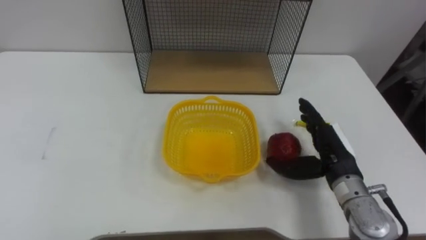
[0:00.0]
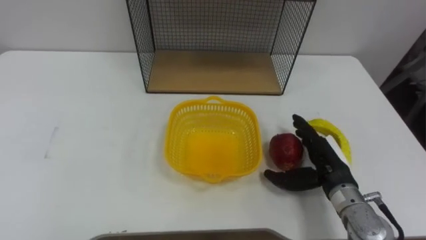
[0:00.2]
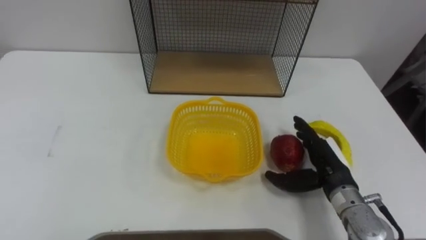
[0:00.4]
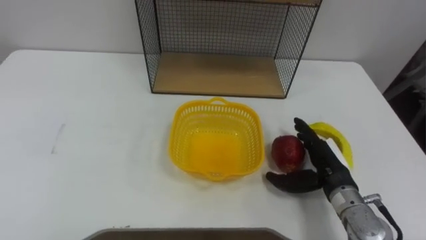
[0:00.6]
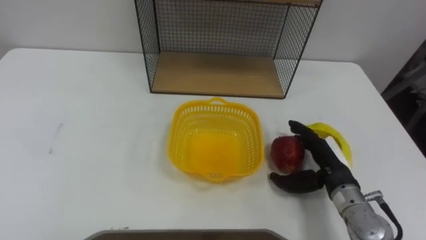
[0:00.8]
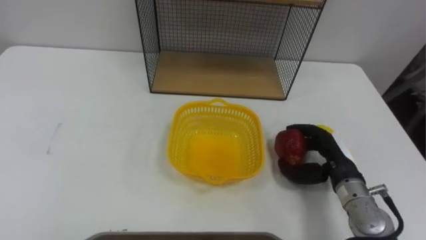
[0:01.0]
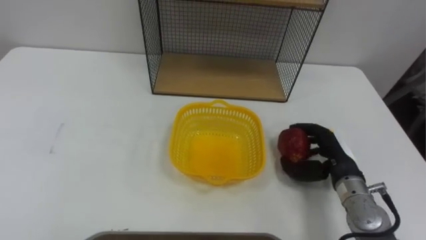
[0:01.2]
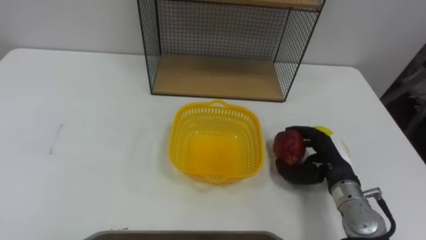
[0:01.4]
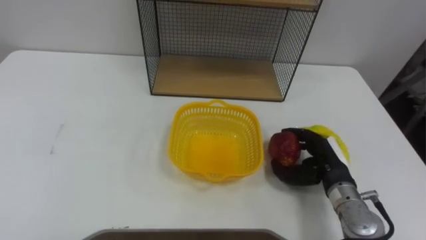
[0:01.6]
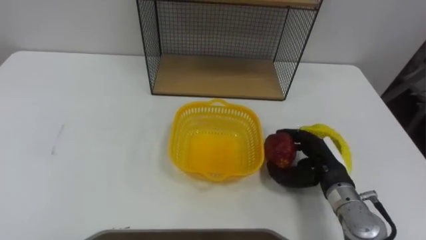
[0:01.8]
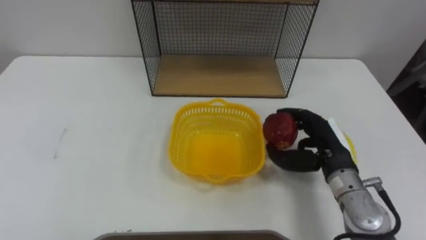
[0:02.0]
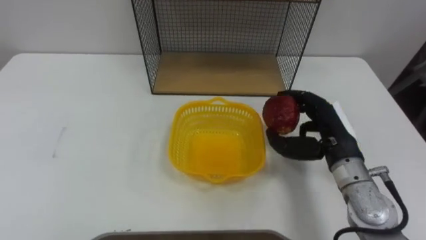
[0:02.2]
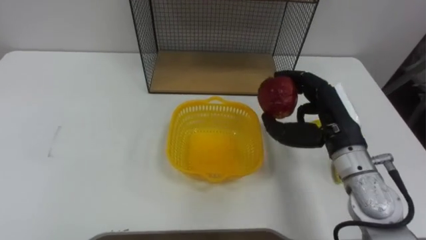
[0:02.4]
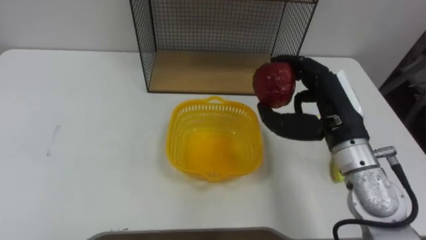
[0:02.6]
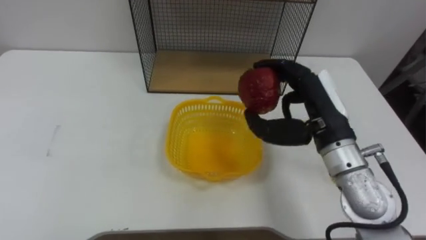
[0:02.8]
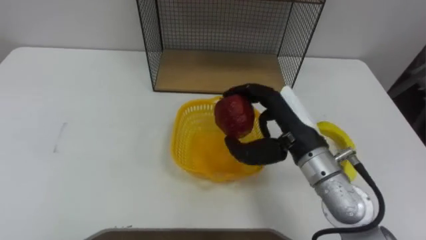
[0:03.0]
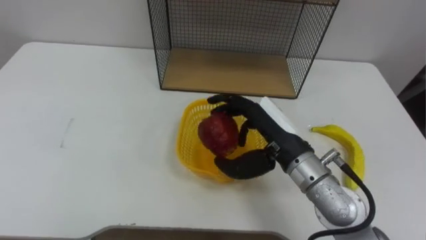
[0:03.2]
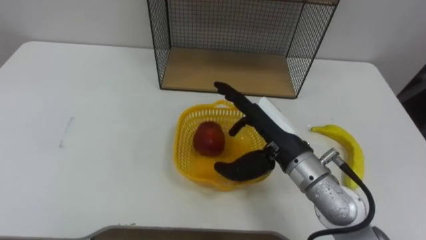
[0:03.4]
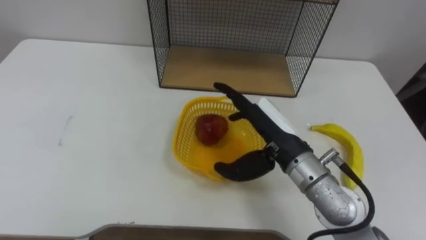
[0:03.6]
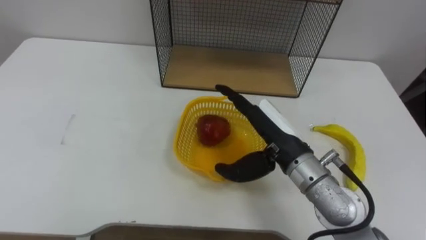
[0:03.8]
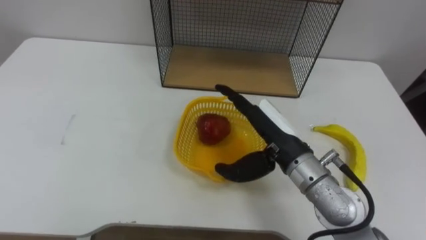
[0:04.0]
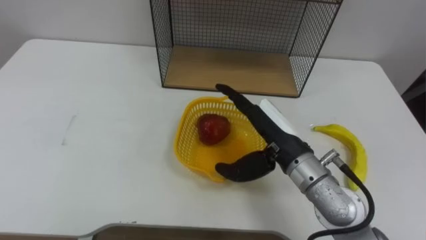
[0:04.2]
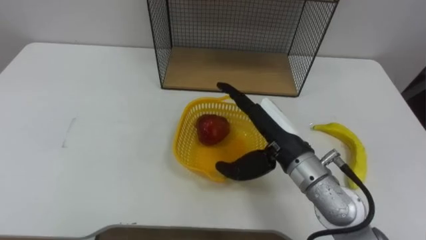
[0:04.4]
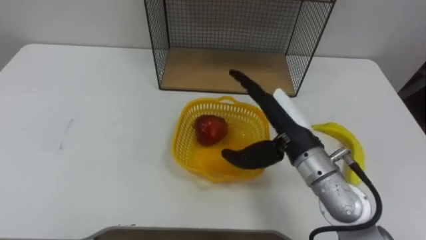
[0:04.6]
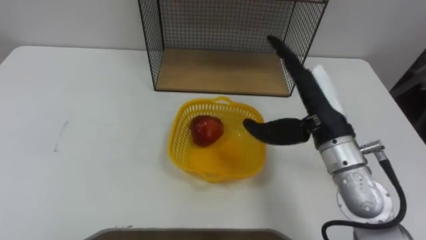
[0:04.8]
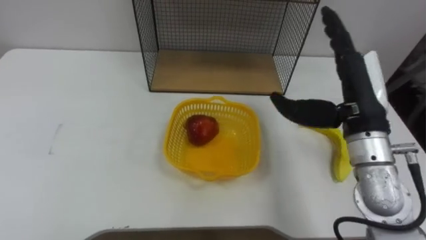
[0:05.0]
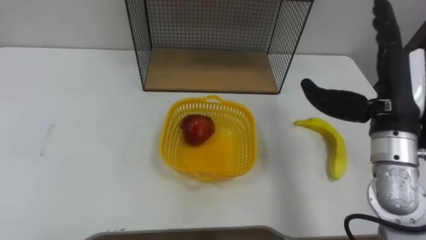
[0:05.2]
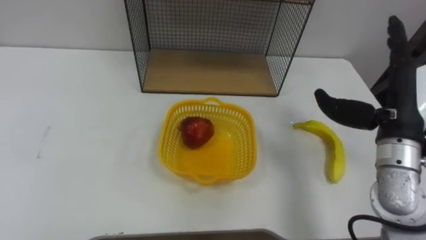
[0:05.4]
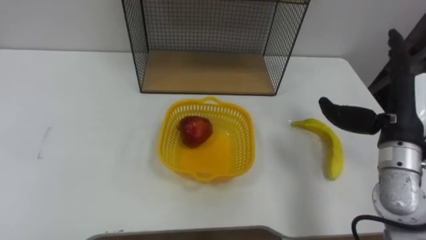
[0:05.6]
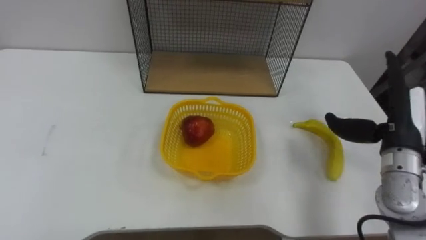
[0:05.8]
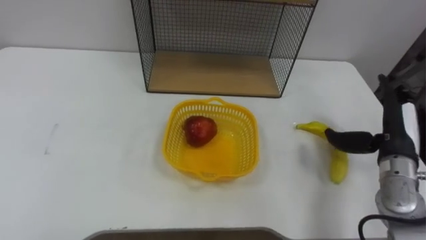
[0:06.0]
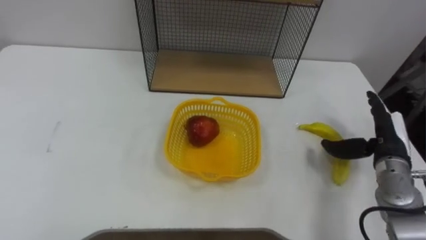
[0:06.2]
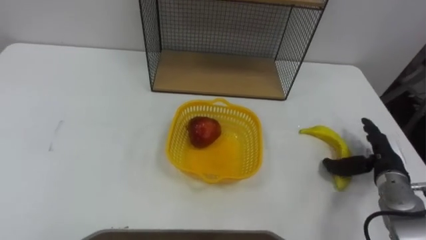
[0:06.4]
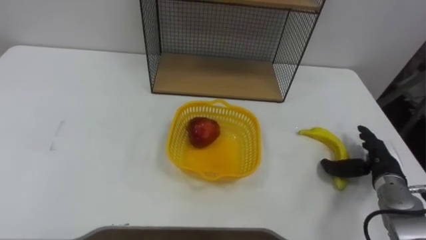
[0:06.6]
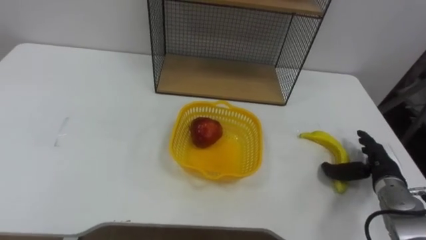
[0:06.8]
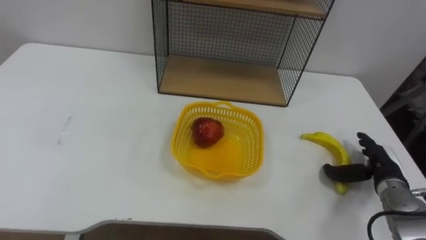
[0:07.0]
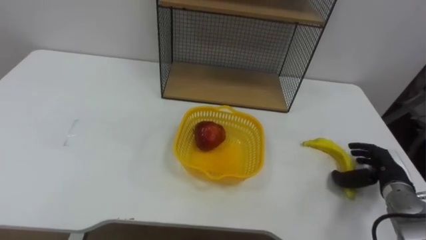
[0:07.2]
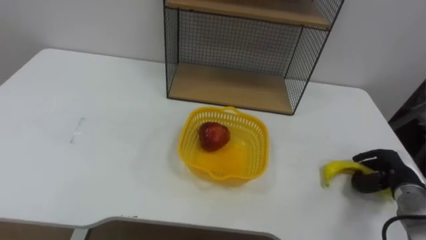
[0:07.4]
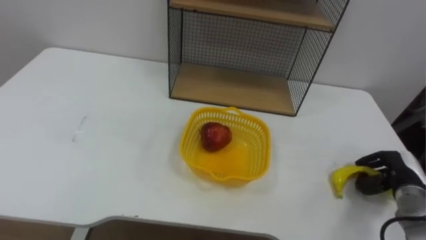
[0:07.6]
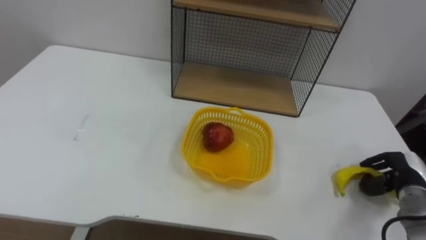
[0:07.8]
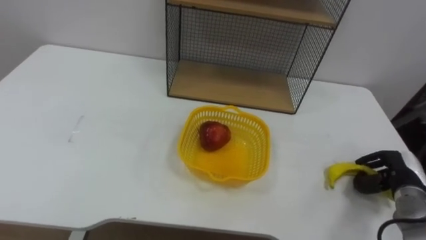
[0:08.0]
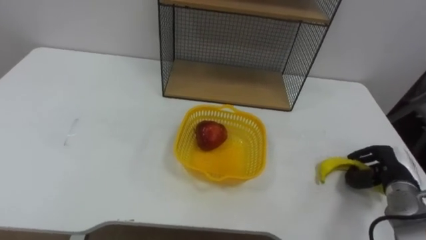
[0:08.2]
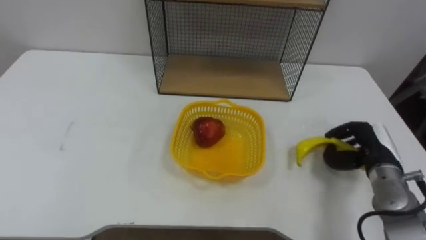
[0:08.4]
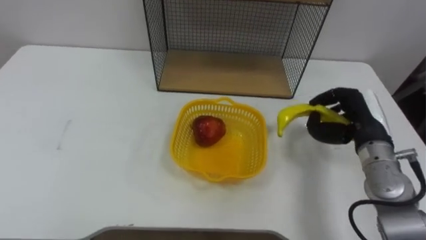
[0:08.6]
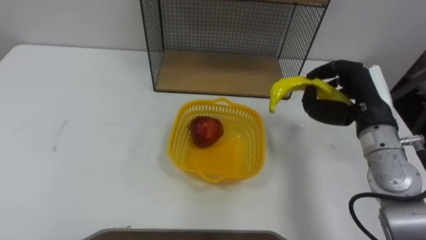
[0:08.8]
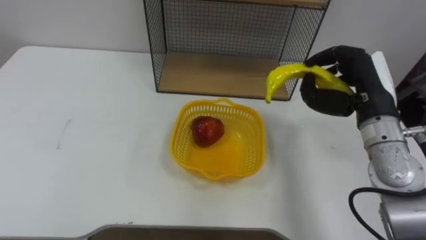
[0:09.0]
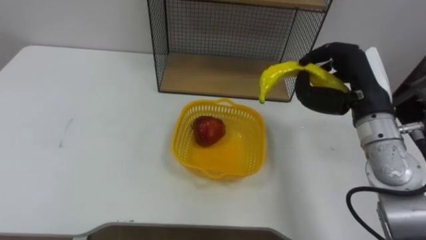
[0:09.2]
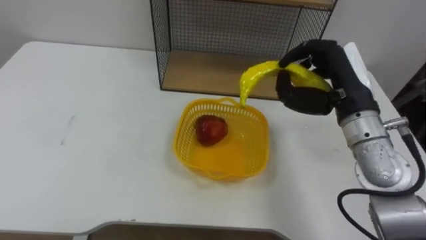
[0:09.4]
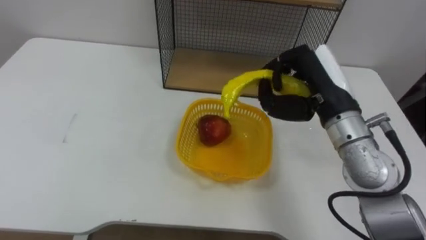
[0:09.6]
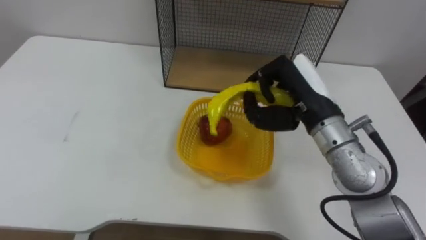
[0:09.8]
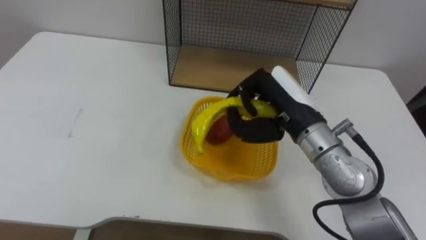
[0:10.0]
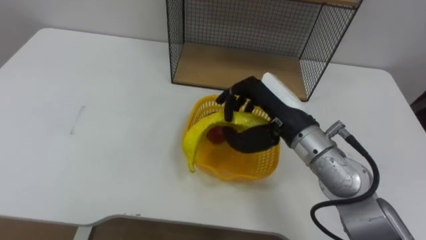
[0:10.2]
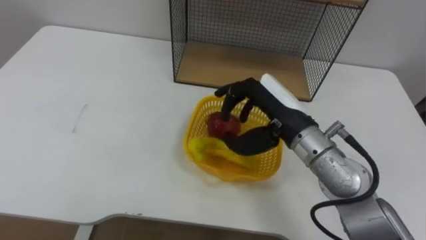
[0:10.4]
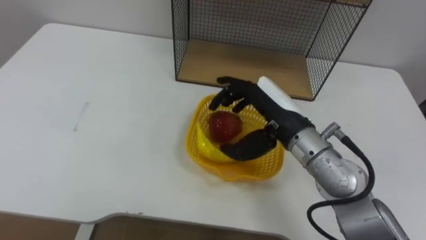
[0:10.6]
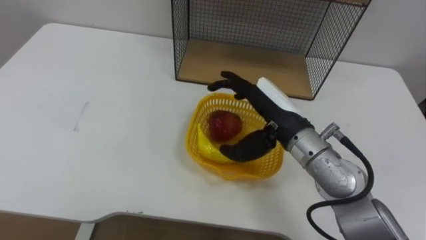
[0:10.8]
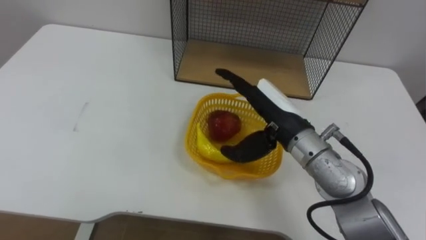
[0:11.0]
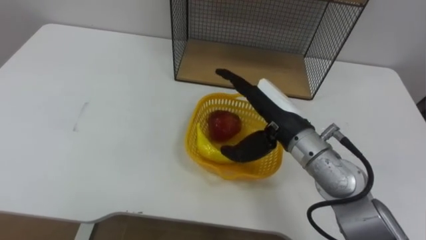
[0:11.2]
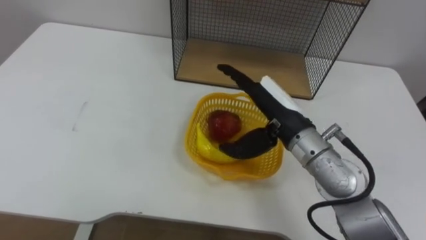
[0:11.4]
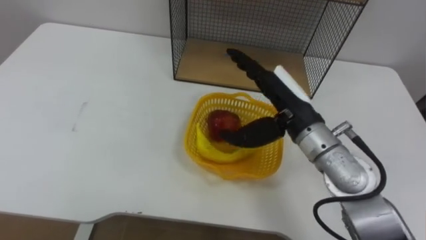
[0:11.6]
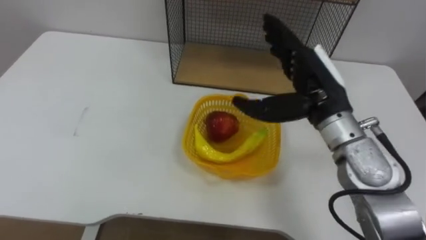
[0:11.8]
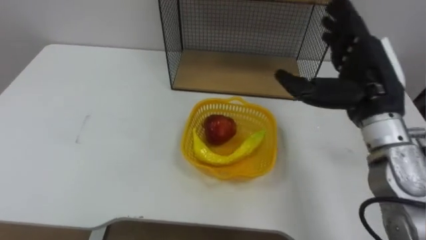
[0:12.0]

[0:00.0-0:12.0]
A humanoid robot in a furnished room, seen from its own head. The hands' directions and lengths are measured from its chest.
Task of the whole recording: Put the fruit on the table into the basket, then place the basket on the shelf.
0:00.0 to 0:01.6: The right hand travels downward by roughly 5 cm, and closes up.
0:01.6 to 0:03.0: The right hand moves upward and to the left, roughly 15 cm.
0:03.0 to 0:04.4: The right hand opens its fingers.
0:04.4 to 0:06.0: The right hand travels to the right by some 20 cm.
0:06.0 to 0:07.6: The right hand travels downward and to the right by some 15 cm, and closes its fingers.
0:07.6 to 0:09.0: The right hand shifts roughly 25 cm upward and to the left.
0:09.0 to 0:10.4: The right hand goes some 15 cm to the left.
0:10.4 to 0:12.0: The right hand is displaced to the right and upward by about 10 cm, and opens.

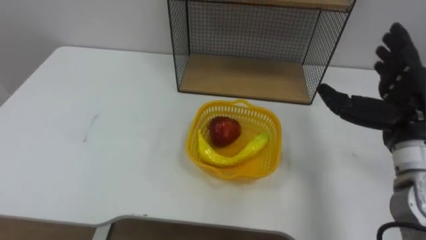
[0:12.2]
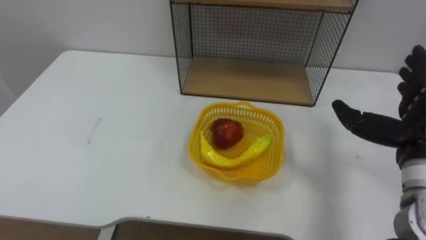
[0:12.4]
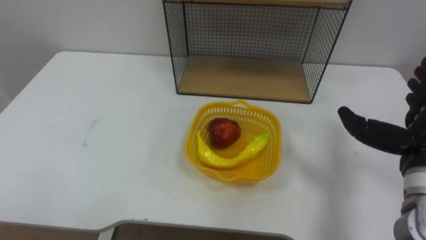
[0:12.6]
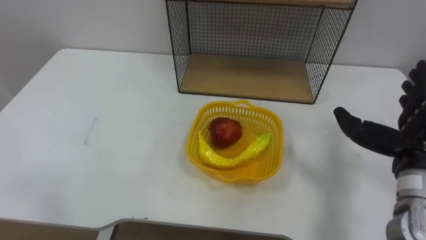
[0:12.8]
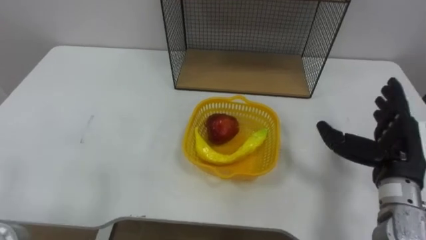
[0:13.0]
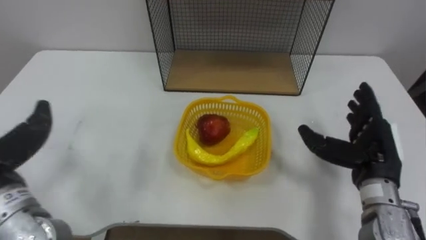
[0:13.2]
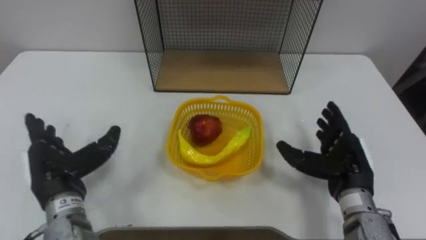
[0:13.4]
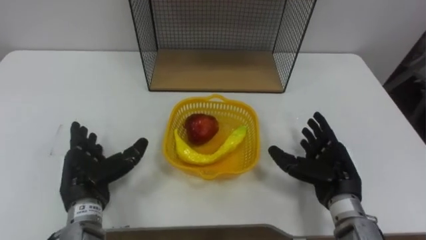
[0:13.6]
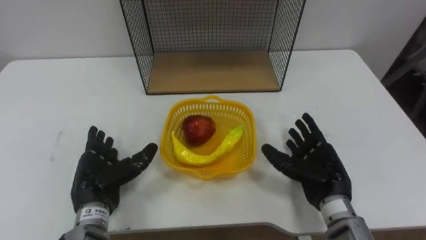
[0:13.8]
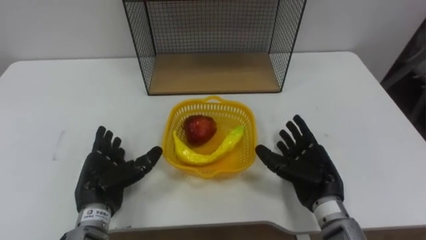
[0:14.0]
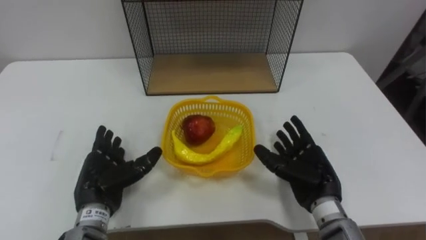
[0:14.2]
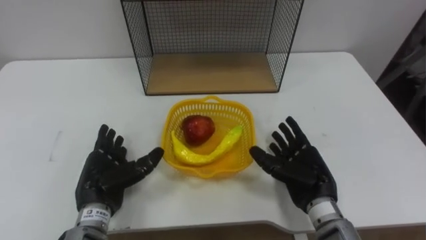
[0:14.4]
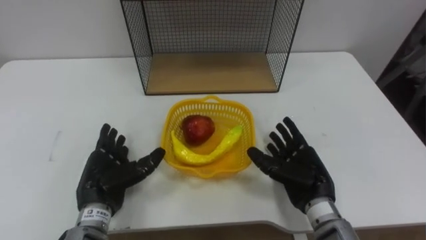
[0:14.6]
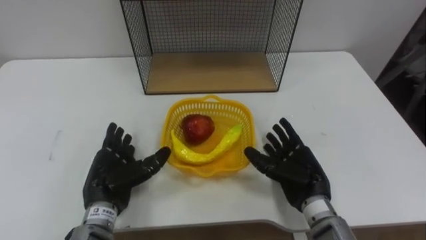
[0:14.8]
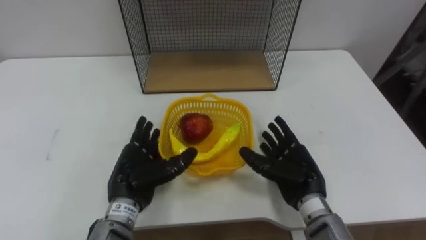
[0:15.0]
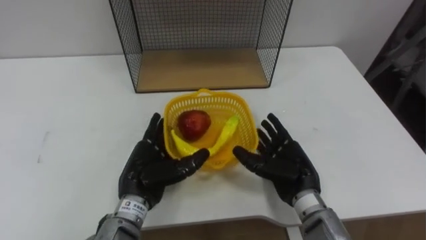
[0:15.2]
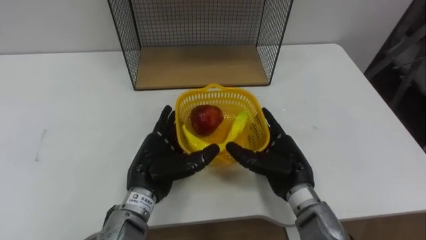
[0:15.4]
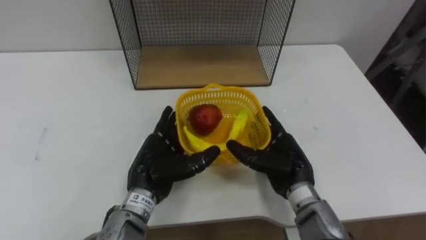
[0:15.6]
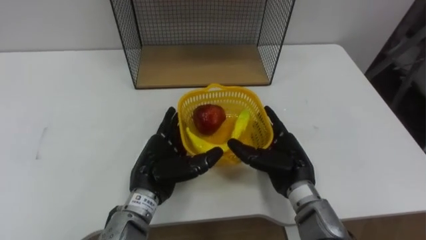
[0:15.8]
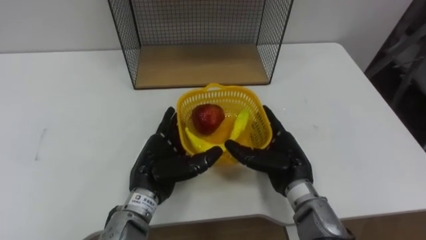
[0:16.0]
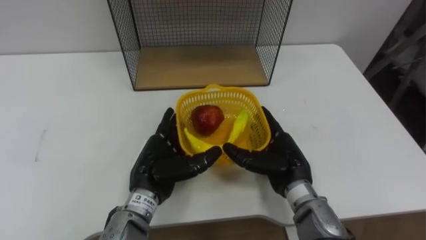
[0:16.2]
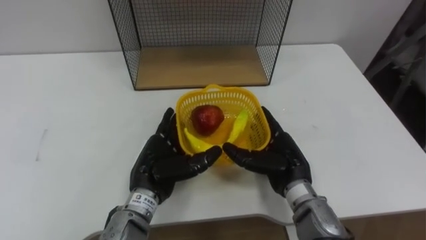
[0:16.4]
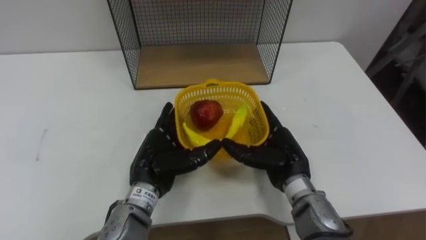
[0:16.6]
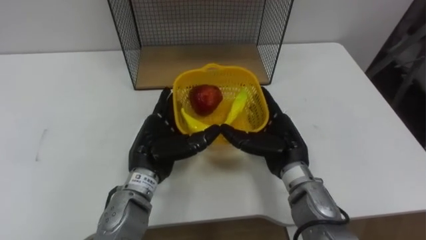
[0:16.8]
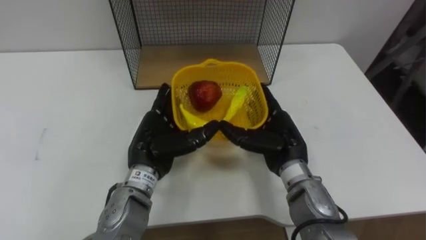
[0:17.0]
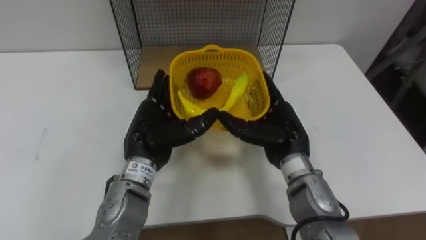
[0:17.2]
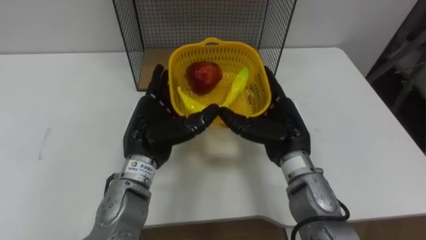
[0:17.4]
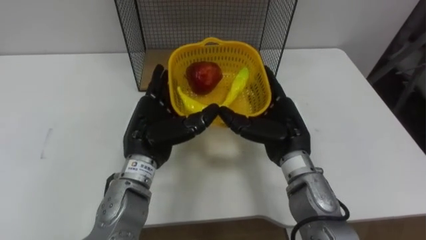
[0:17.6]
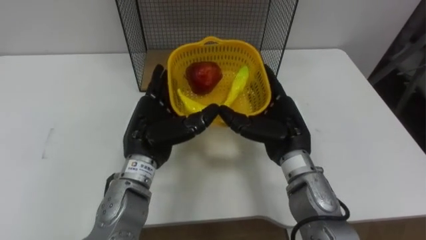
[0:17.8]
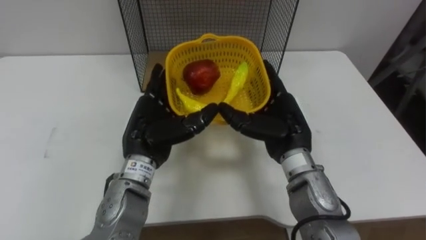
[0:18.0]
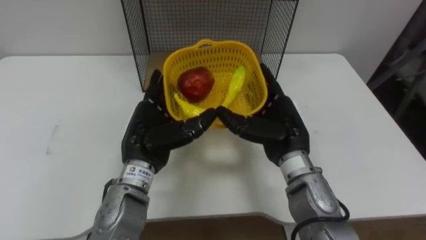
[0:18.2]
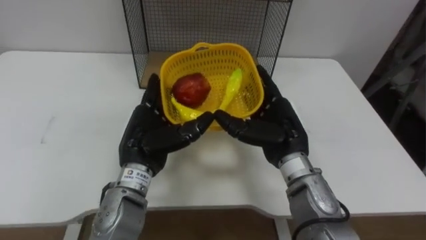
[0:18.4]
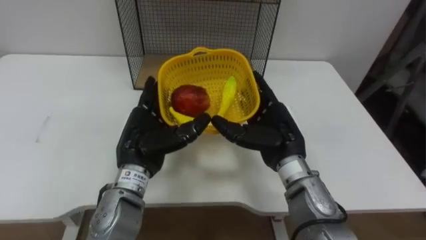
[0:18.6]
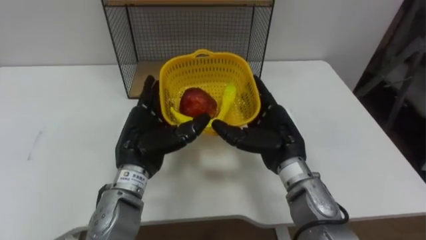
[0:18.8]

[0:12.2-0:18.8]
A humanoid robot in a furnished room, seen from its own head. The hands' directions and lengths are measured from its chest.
Task of the whole recording: Put the fruit on the table into the basket, then place the basket on the shelf.
0:13.8 to 0:15.4: The left hand goes roughly 10 cm to the right. The right hand is displaced to the left by some 5 cm.
0:15.4 to 0:17.2: The right hand travels upward by about 5 cm. Meanwhile the left hand ends up about 5 cm from where it was.
